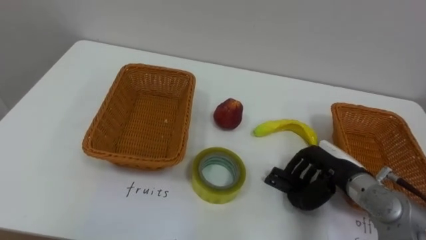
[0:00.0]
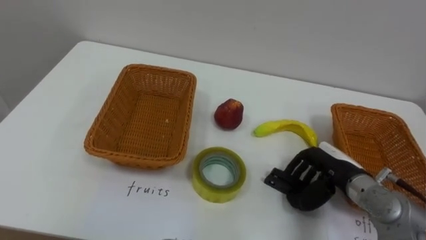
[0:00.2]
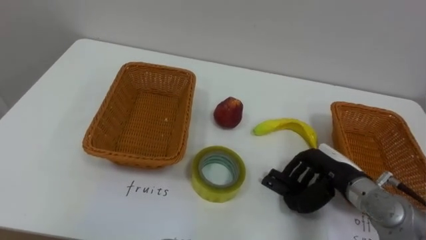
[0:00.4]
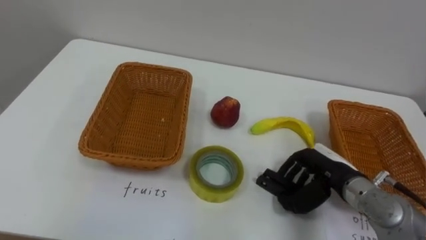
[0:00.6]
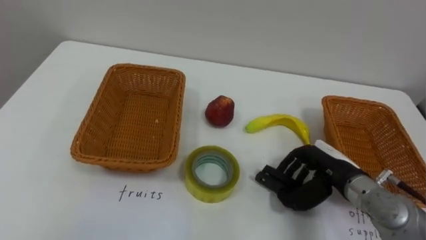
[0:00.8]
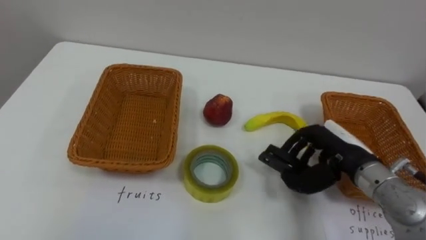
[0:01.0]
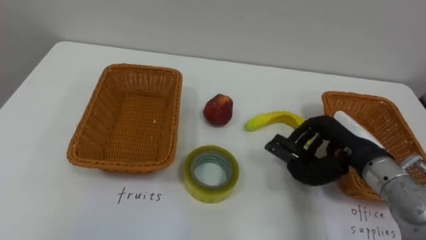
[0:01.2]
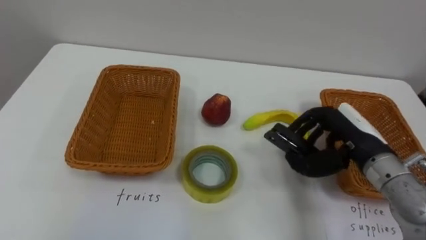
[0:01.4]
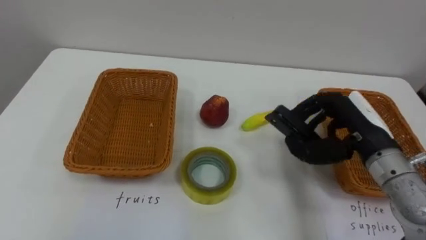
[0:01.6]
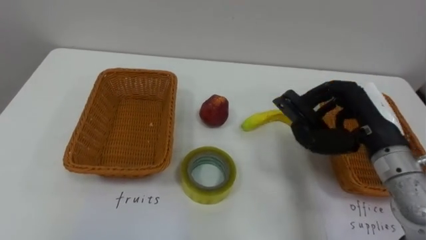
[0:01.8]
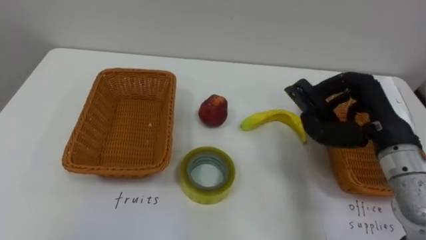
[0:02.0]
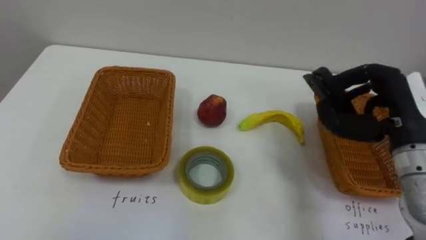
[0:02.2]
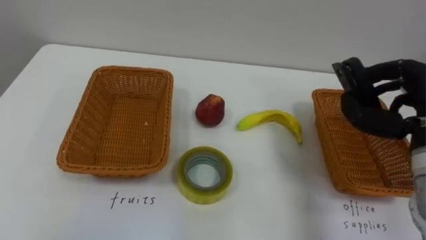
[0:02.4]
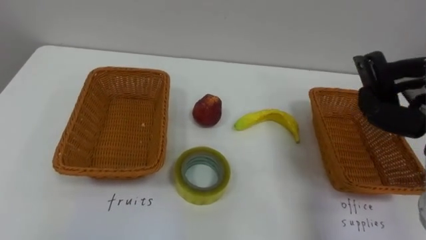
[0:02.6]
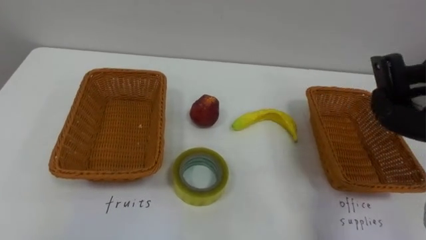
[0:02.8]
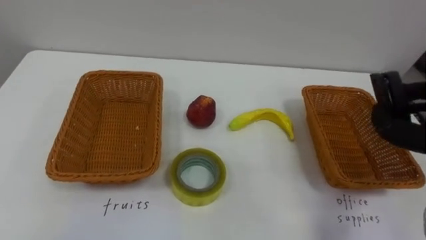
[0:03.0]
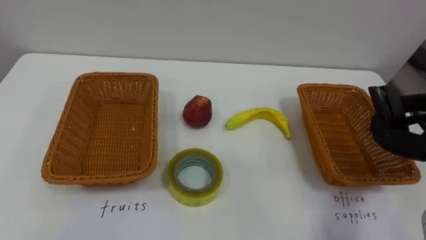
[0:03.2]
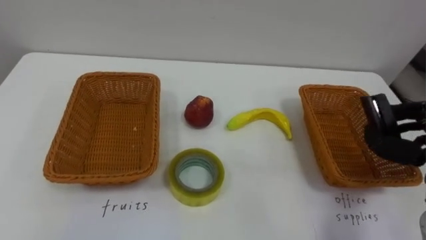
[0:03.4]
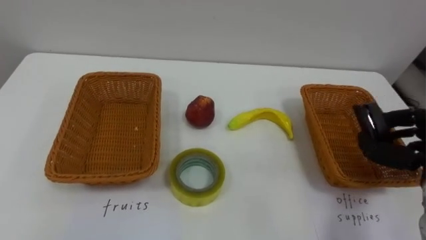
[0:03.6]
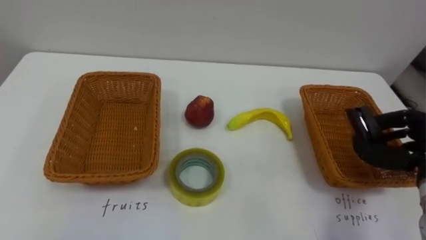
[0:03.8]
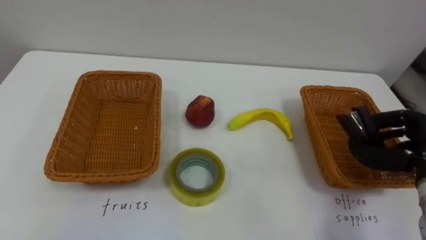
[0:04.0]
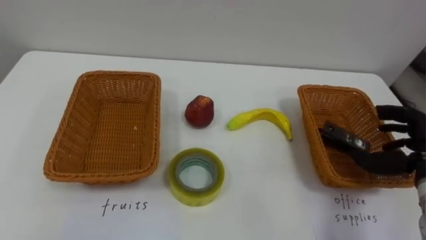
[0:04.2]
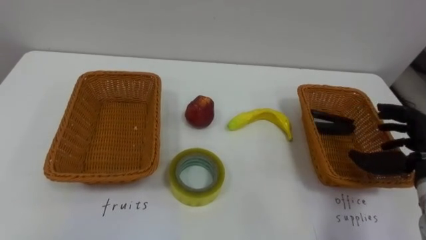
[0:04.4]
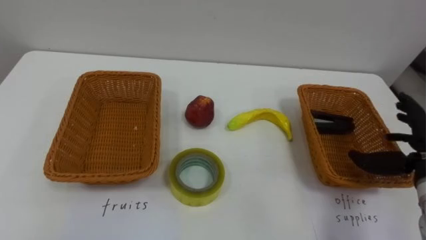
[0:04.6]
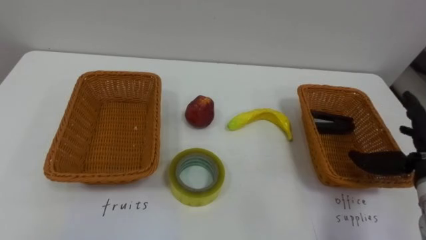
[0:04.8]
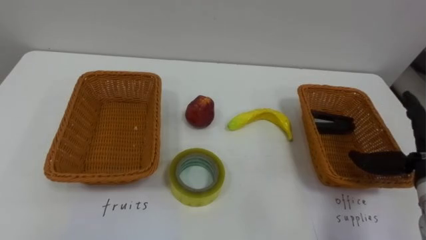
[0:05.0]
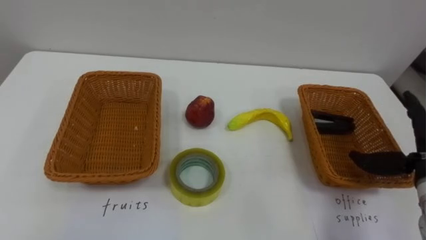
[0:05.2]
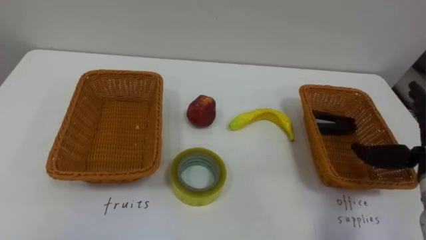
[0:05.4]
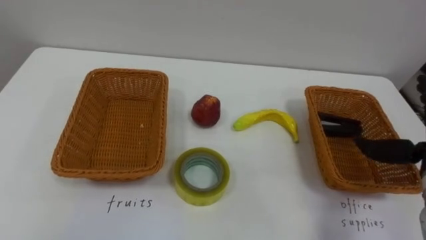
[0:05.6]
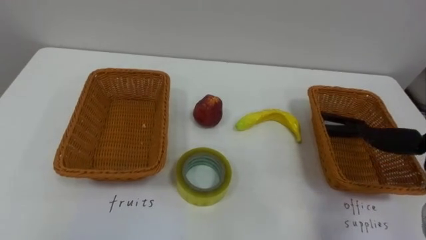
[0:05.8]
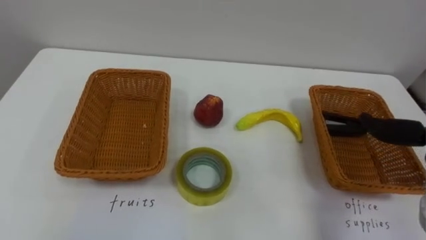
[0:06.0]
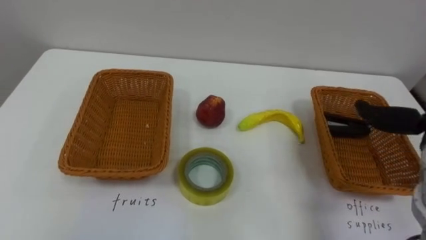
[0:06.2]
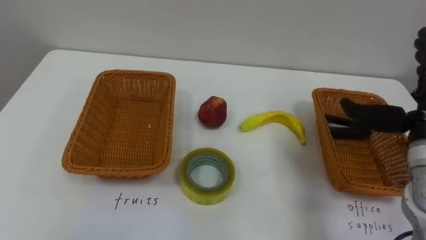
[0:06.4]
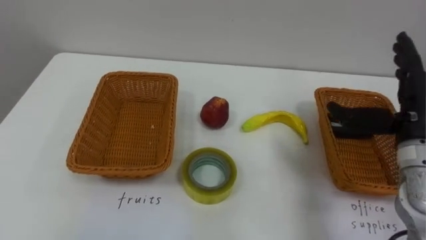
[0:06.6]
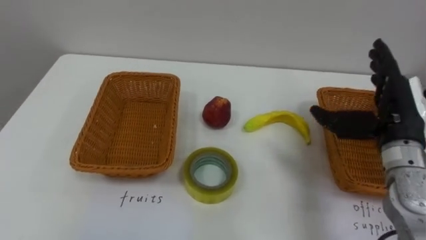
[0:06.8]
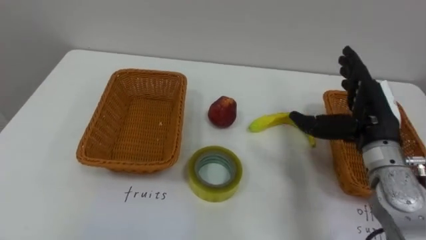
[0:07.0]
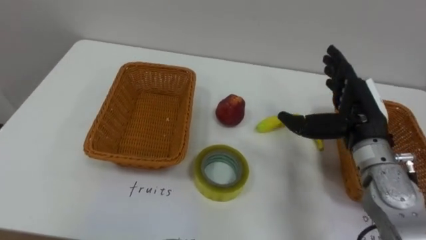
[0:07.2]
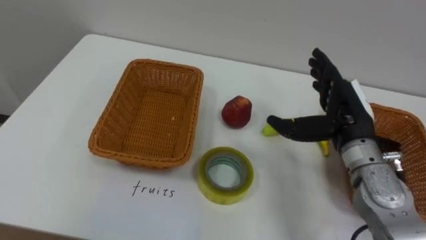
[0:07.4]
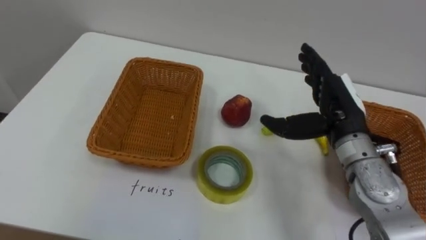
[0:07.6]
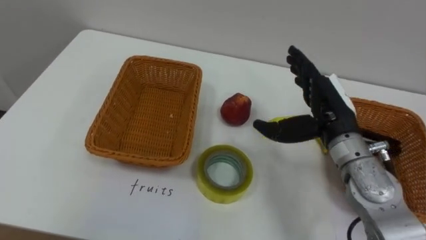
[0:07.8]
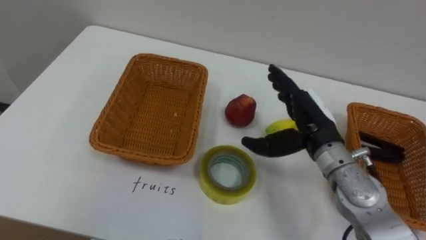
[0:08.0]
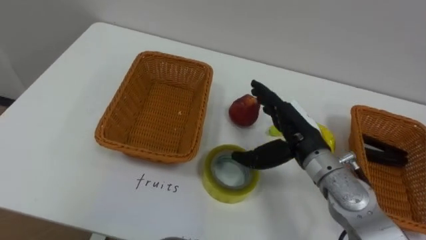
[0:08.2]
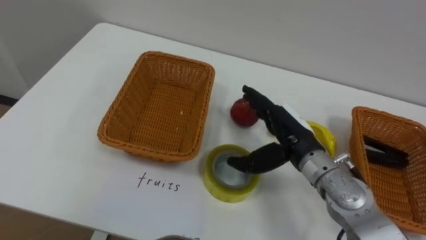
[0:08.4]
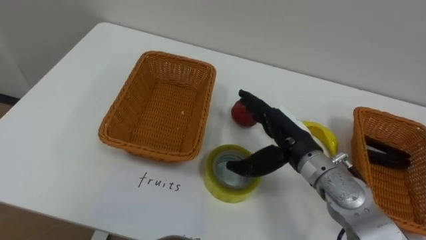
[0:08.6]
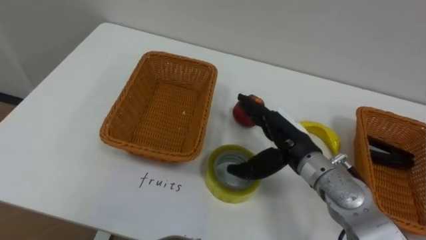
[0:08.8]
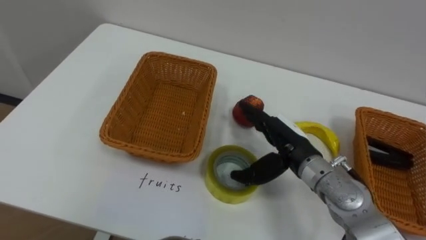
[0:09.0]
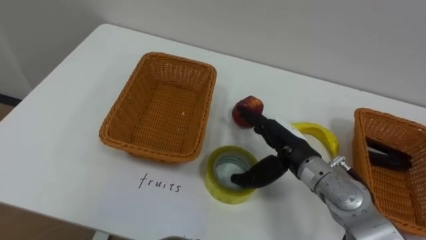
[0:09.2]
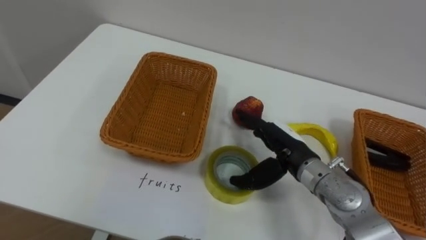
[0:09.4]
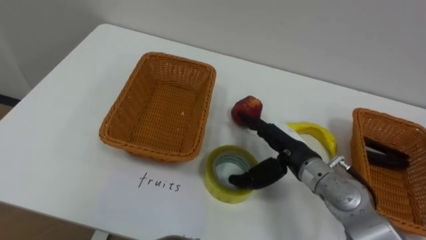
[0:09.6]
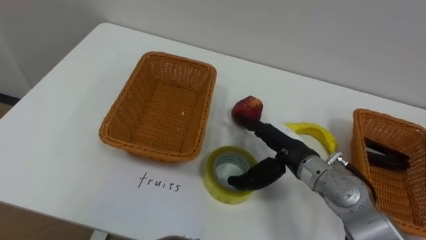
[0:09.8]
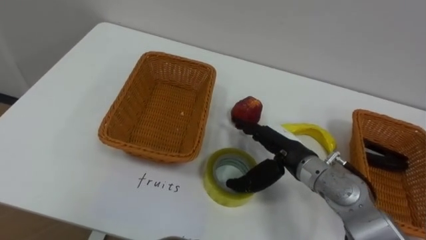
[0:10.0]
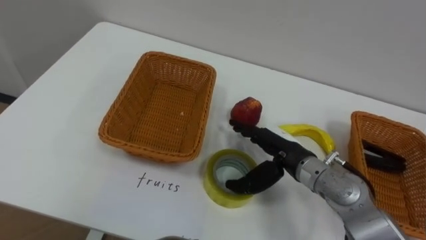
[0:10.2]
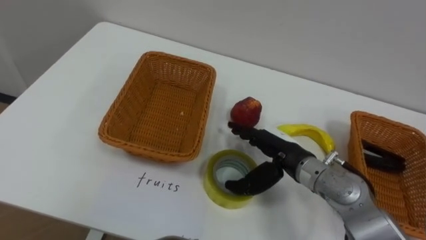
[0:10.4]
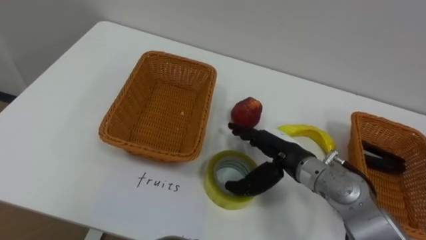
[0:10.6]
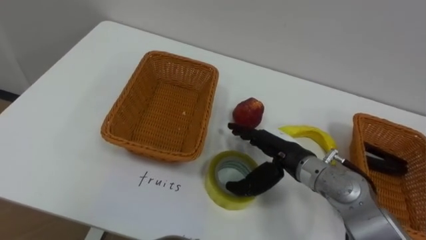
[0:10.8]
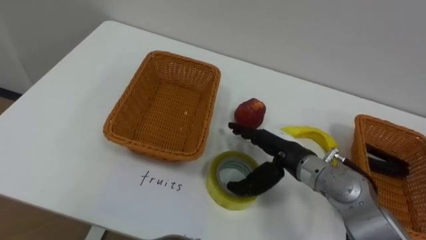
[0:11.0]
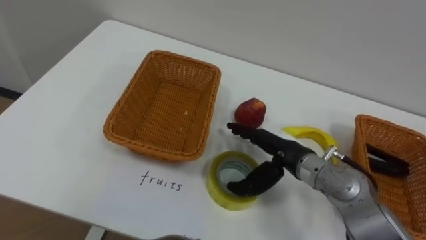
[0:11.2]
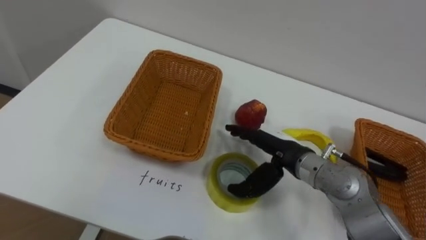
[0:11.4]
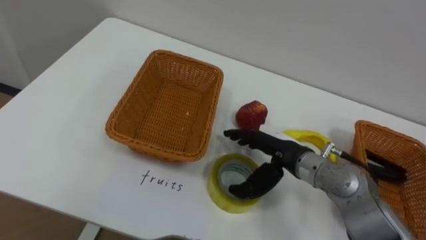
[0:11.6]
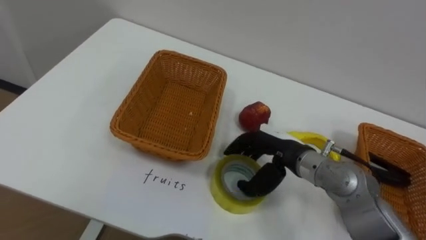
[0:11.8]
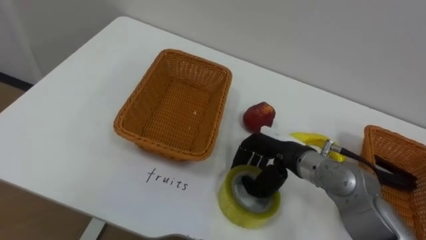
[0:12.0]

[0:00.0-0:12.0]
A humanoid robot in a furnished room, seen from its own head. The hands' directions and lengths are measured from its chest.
Task of the whole recording: Separate the items on the table and place them into the two baskets.
0.0 to 1.6 s: The right hand goes roughly 10 cm upward.
7.6 to 9.0 s: The right hand is displaced to the left and downward by about 10 cm.
10.4 to 12.0 s: The right hand closes its fingers.

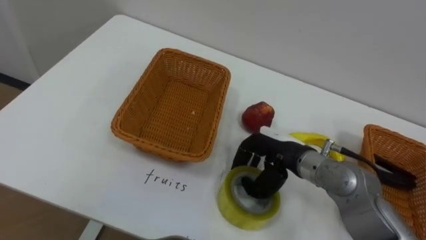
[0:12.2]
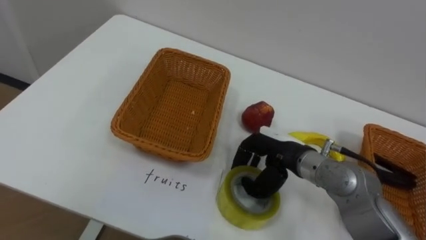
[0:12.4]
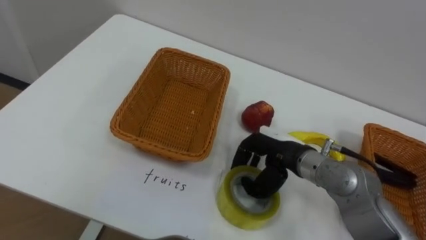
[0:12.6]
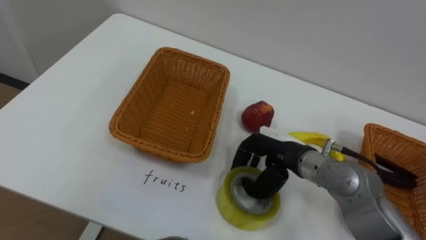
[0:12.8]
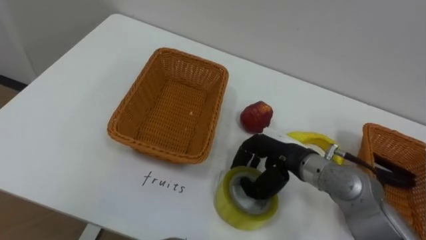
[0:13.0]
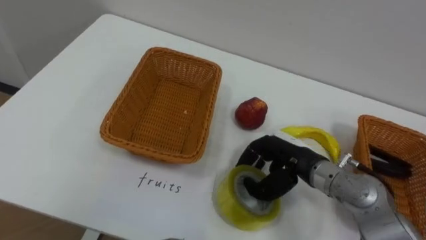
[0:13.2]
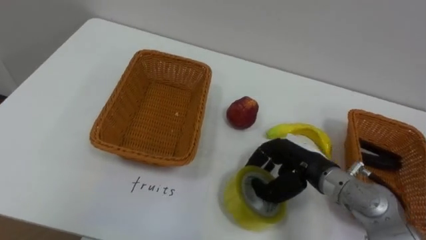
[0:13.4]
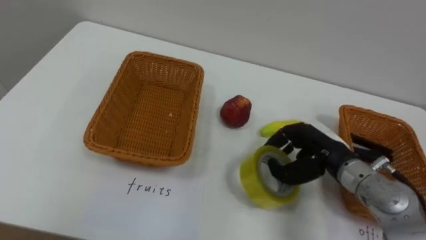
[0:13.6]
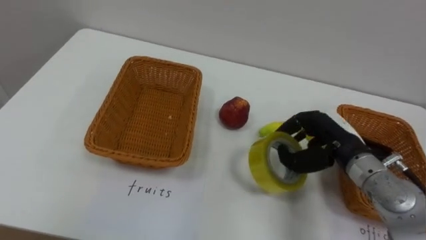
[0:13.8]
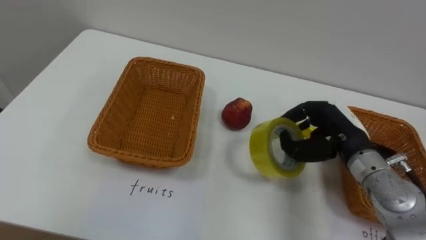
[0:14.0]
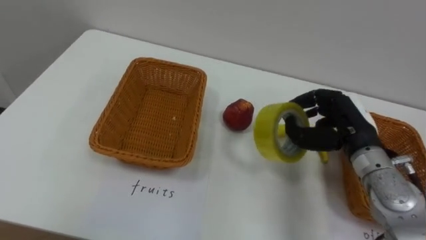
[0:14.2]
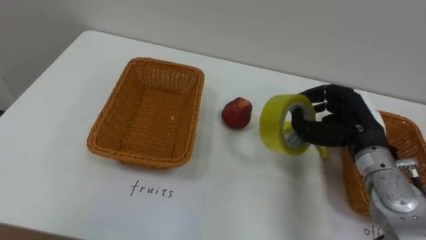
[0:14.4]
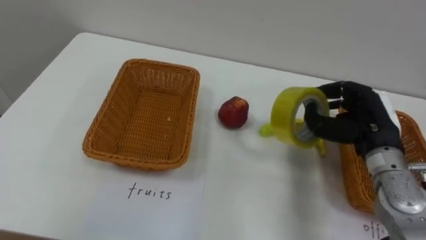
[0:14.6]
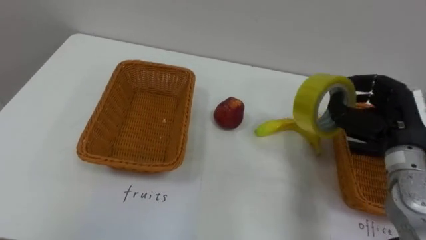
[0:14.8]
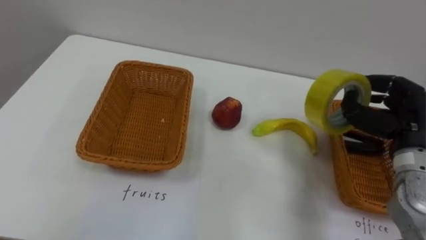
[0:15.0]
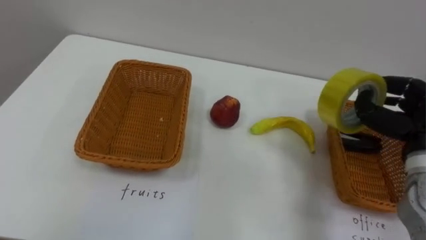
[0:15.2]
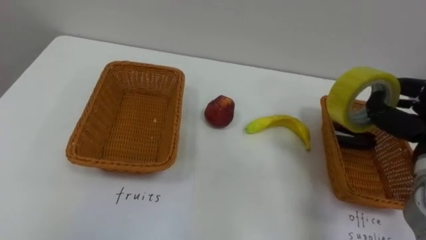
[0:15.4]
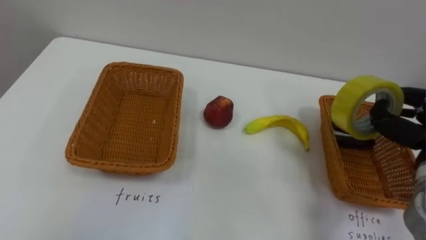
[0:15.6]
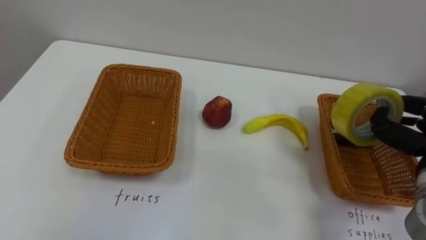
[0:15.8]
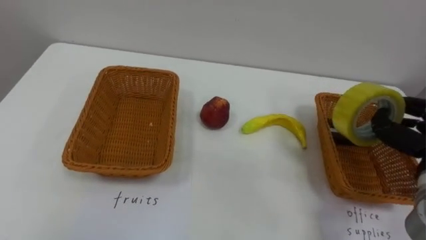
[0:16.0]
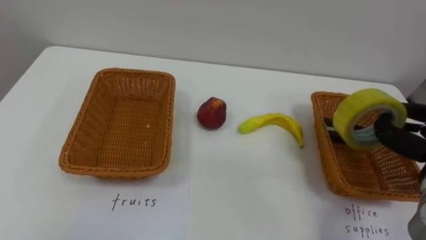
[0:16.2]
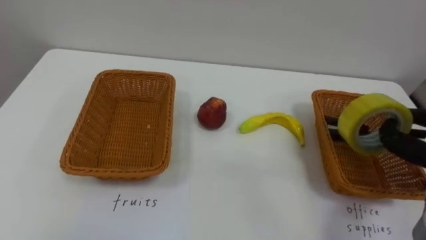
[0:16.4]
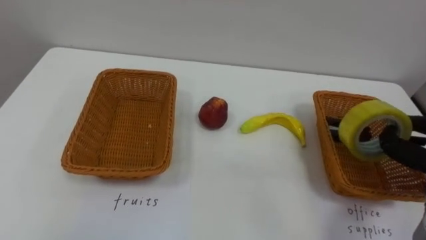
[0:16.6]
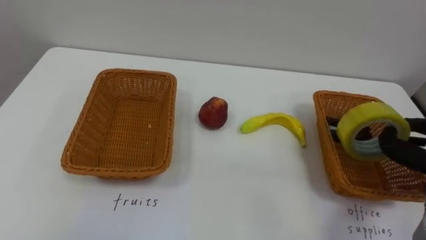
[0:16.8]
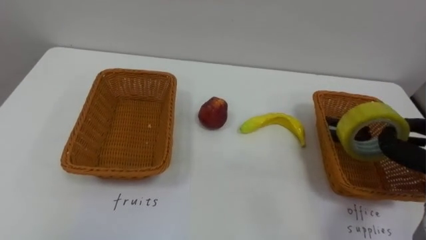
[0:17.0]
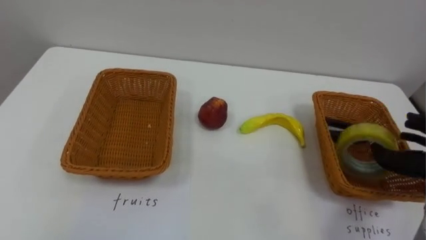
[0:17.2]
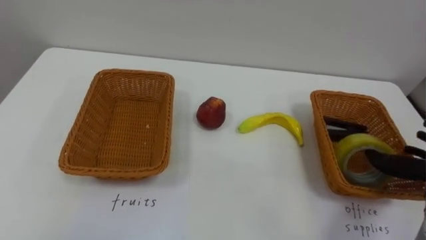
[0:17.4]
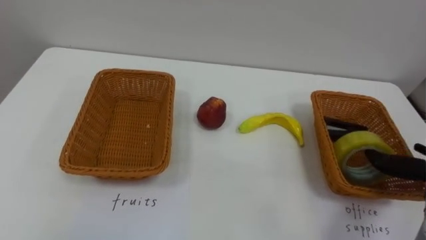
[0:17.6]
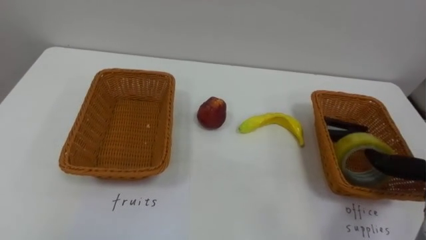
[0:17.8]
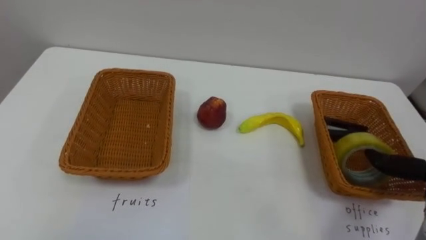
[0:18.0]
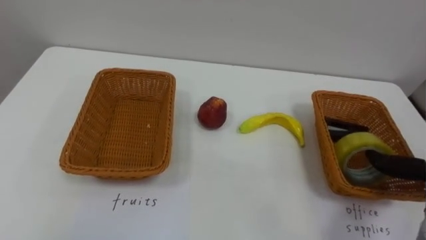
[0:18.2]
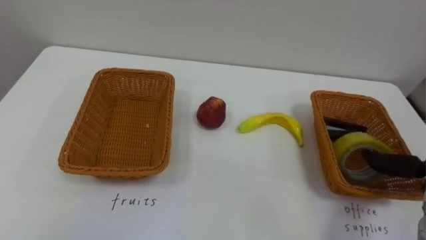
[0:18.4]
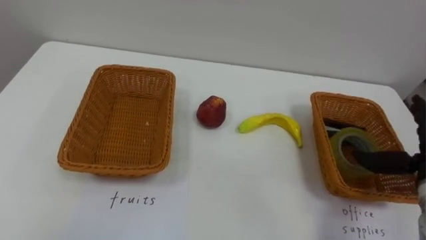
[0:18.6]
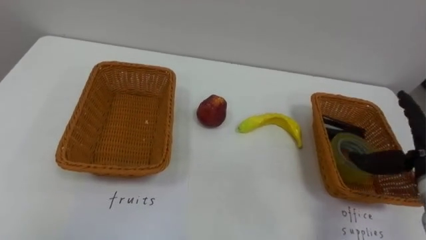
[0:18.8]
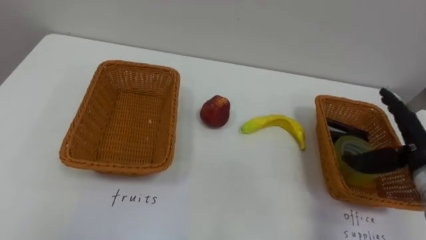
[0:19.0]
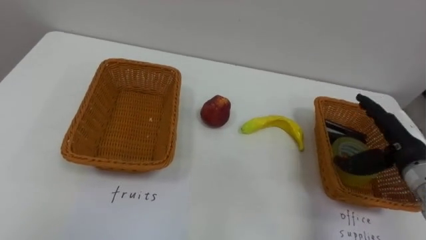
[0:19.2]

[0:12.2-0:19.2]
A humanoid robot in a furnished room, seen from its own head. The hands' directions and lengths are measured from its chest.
Task of the whole recording: Separate the items on the table and place them into the two baskets.
12.2 to 13.6 s: The right hand is displaced to the right by about 5 cm.
13.6 to 15.0 s: The right hand moves to the right and upward, approximately 15 cm.
